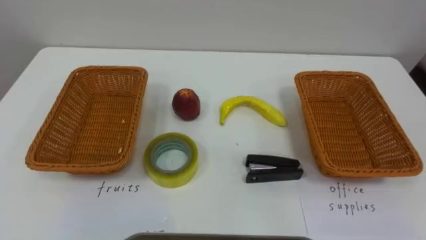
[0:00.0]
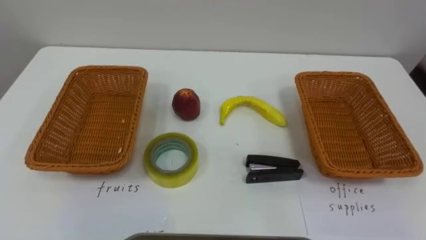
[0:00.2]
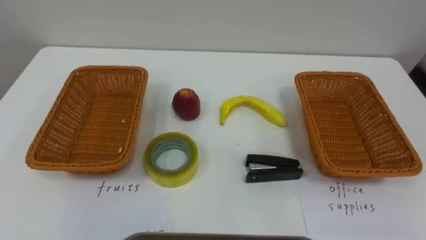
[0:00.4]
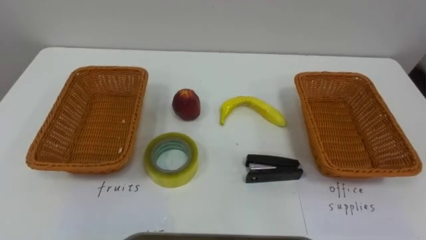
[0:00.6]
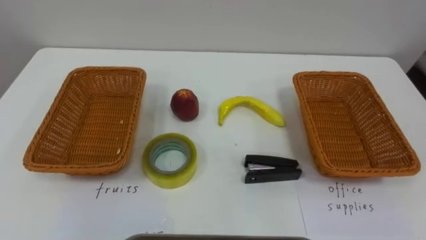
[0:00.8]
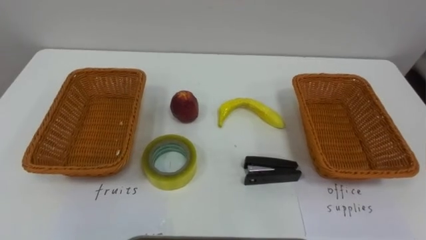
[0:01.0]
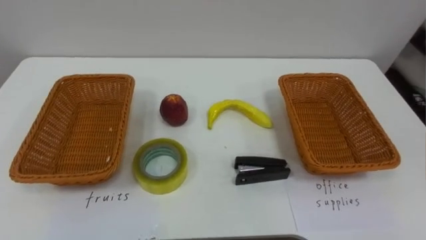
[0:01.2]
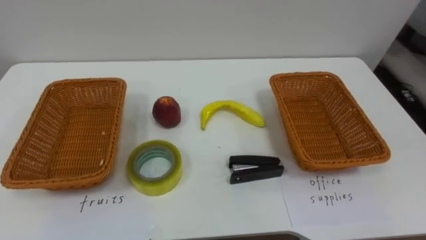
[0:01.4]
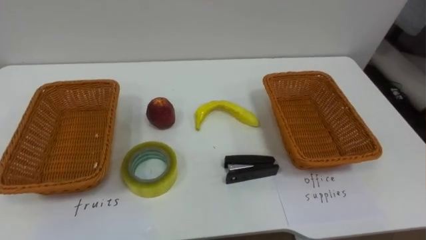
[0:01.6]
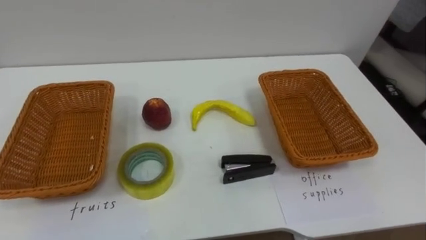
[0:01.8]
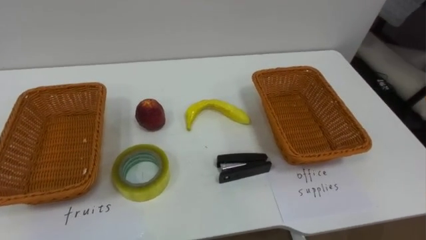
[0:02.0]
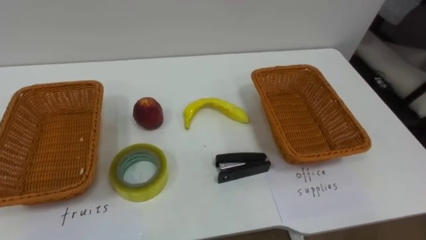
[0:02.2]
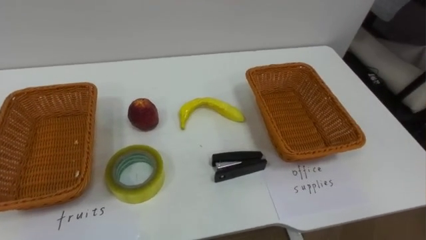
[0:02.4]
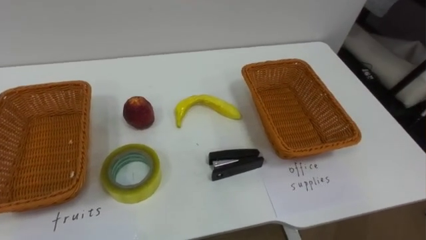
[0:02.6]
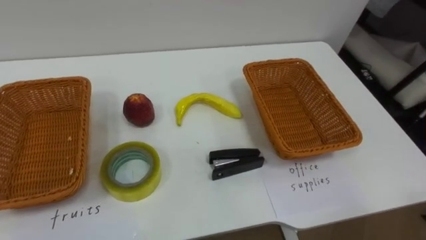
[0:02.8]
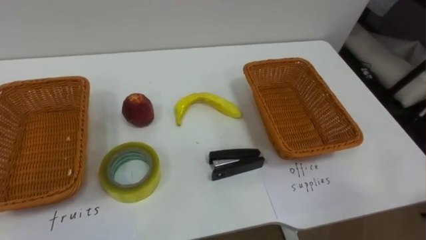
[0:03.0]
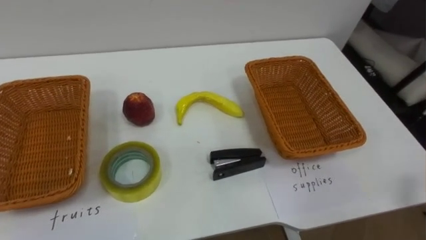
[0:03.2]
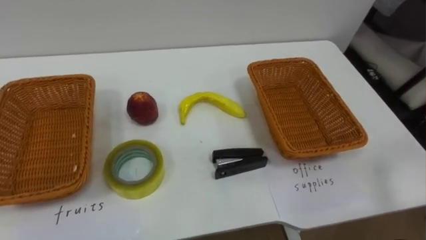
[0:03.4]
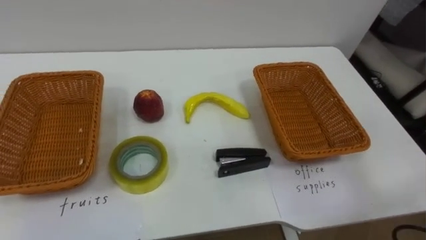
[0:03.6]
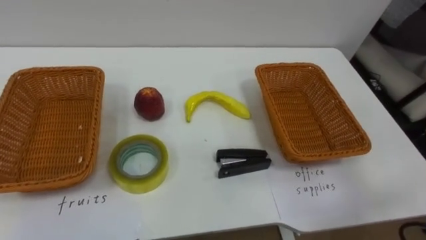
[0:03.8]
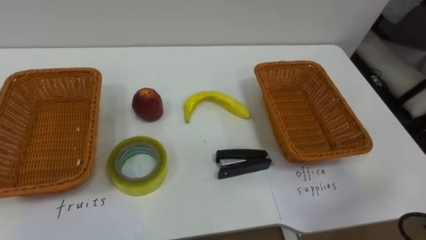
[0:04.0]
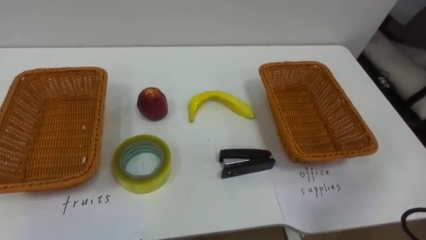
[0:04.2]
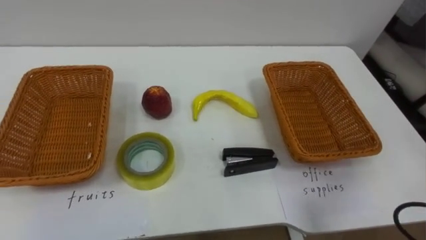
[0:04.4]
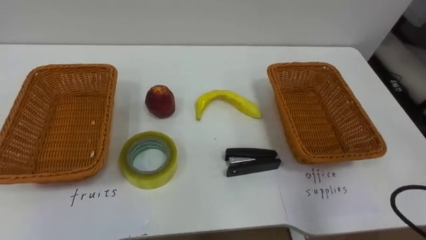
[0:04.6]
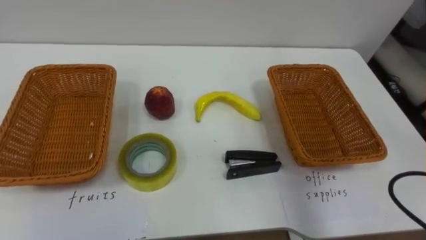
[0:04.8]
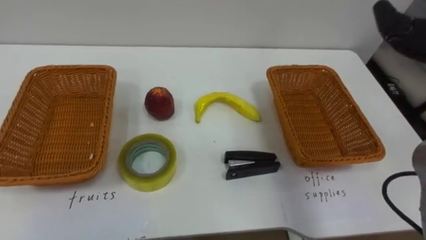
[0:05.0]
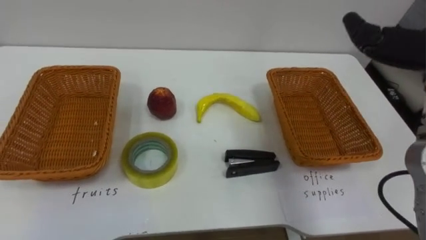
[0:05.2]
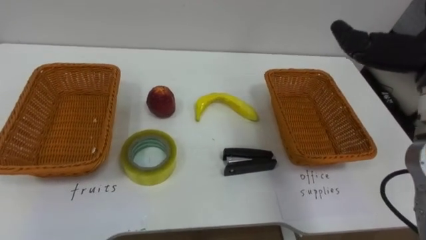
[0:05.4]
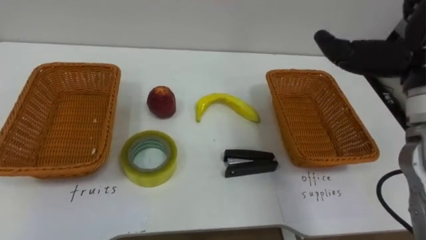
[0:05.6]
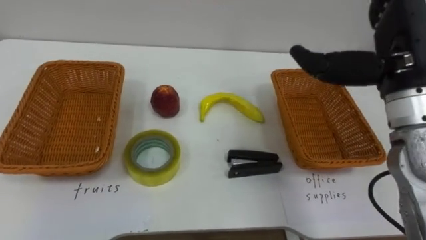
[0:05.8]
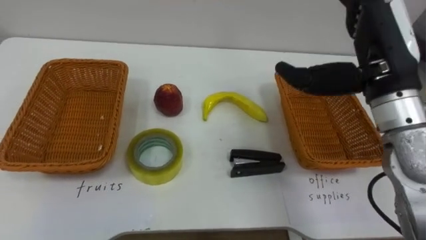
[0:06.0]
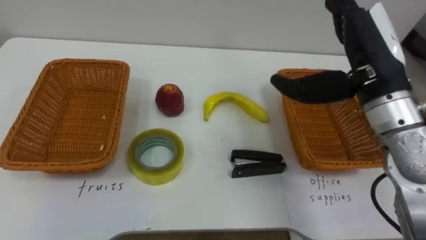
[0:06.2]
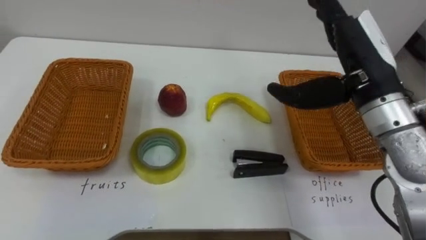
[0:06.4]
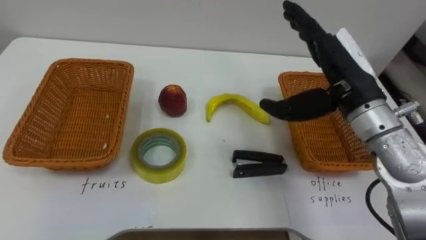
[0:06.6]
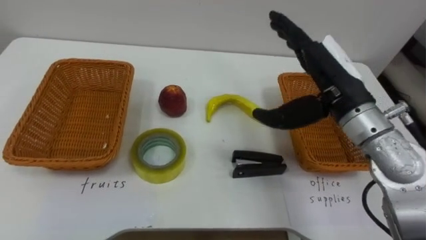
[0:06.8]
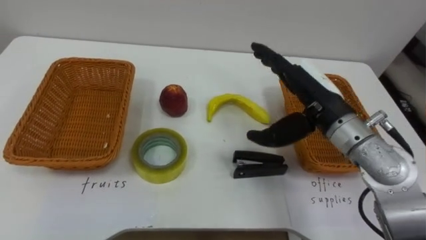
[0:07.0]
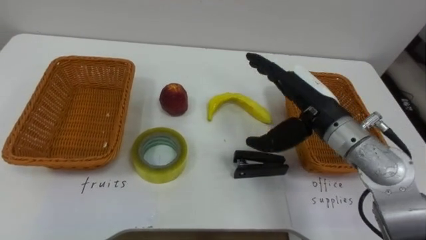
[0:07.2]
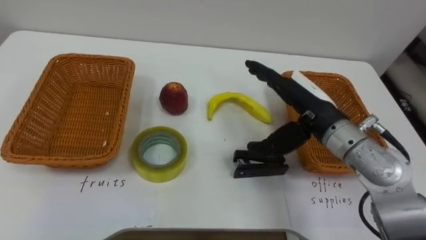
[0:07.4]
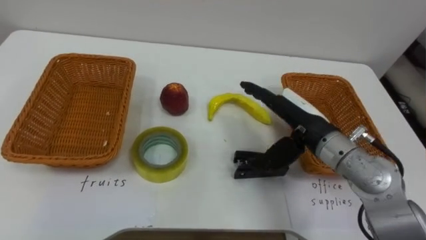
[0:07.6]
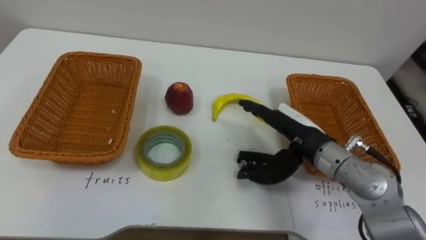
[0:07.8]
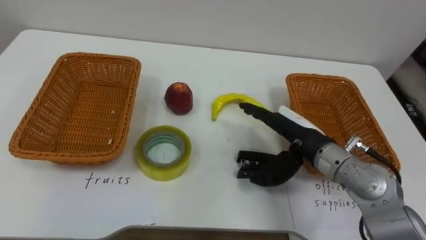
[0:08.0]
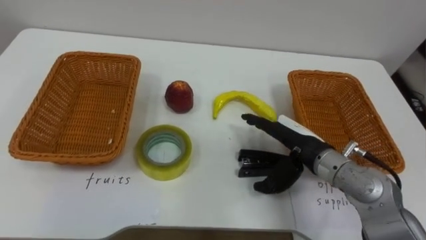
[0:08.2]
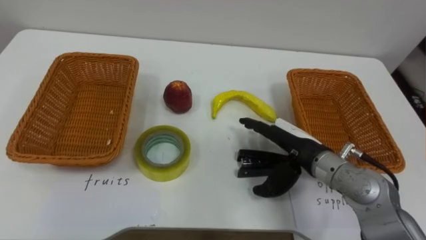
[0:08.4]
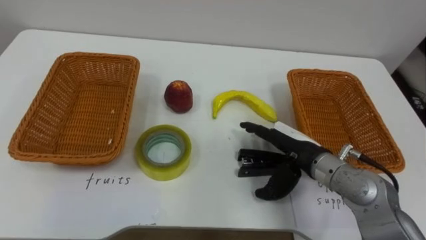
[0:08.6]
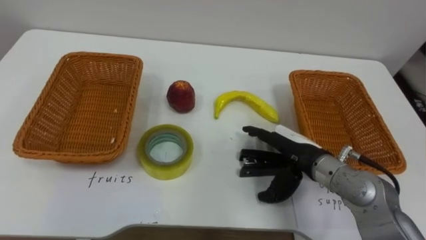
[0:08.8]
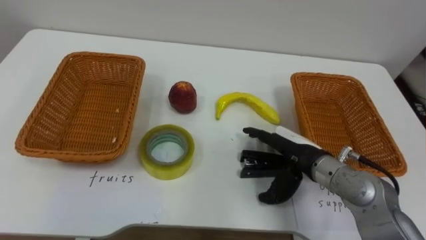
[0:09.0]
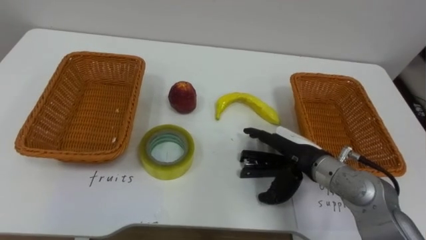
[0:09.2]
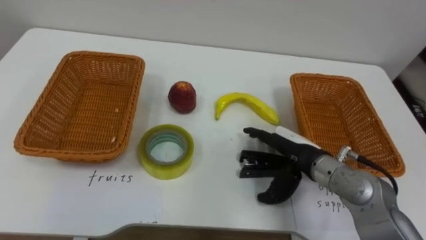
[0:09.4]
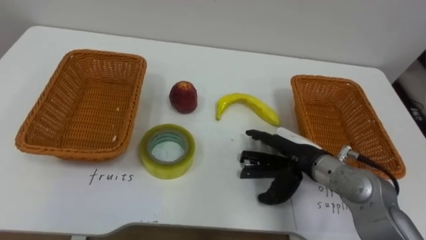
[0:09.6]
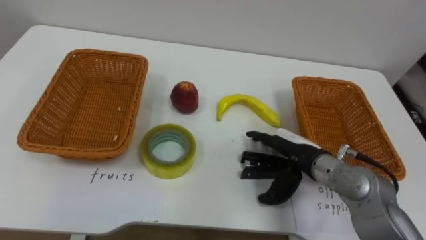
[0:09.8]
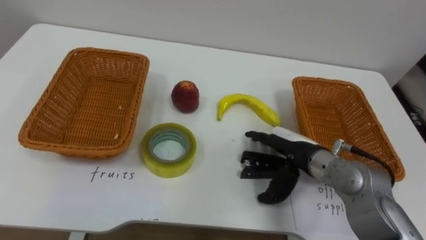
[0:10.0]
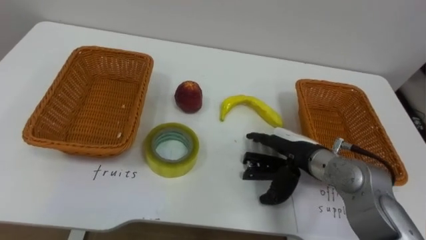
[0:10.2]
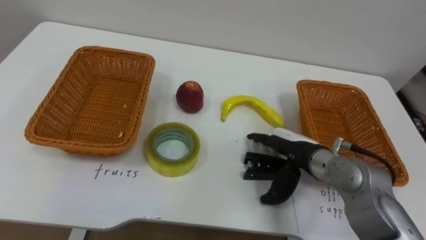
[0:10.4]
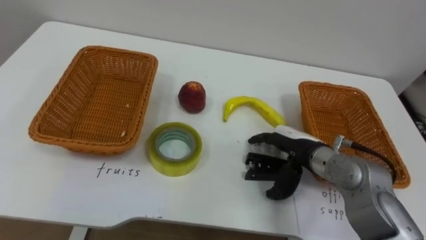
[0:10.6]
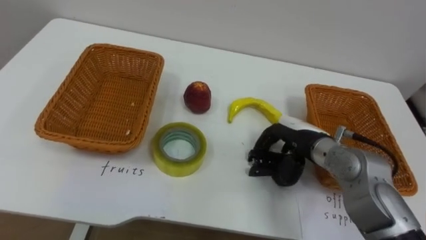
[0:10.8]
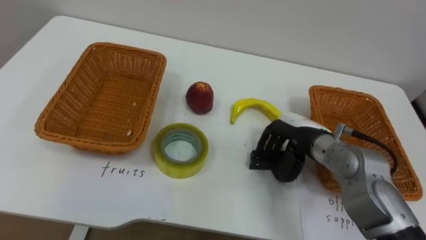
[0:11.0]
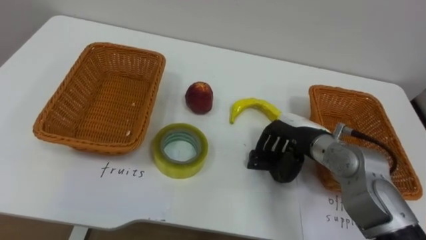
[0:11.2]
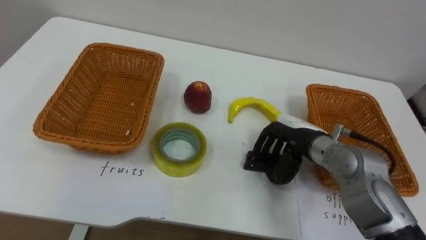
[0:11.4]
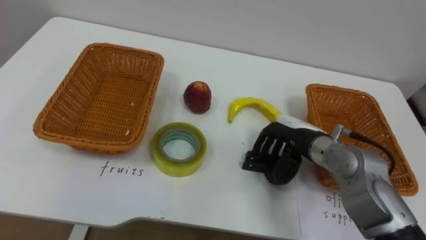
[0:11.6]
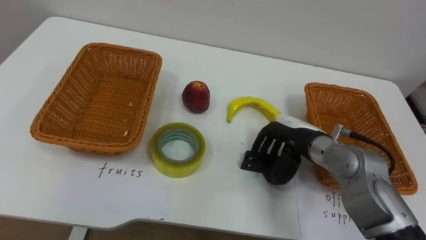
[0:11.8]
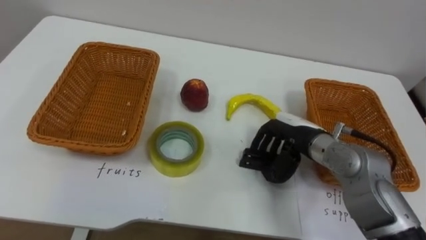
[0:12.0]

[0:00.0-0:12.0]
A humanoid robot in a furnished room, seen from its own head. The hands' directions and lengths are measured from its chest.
Task of the whole recording: Separate the items on the table and place them into the two baskets.
0:06.0 to 0:07.6: The right hand goes about 15 cm downward and to the left.
0:07.6 to 0:09.0: The right hand moves downward, roughly 5 cm.
0:10.4 to 0:12.0: The right hand closes up.

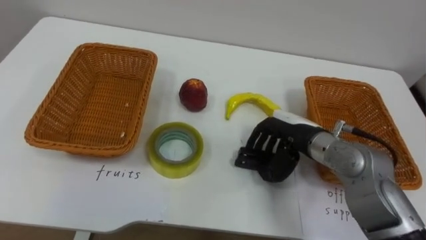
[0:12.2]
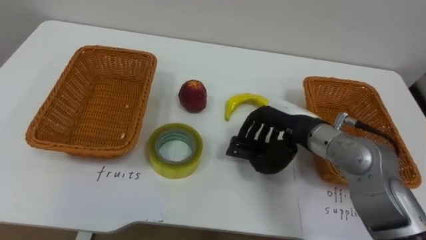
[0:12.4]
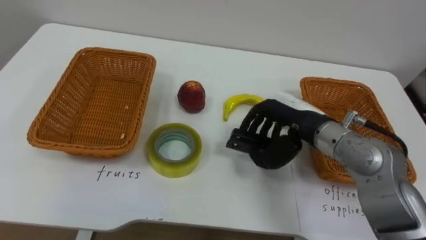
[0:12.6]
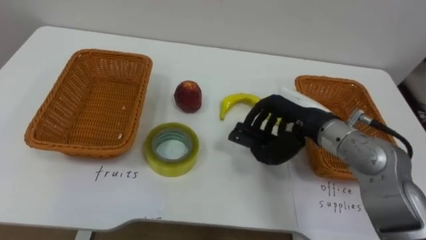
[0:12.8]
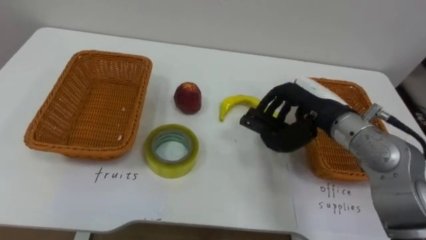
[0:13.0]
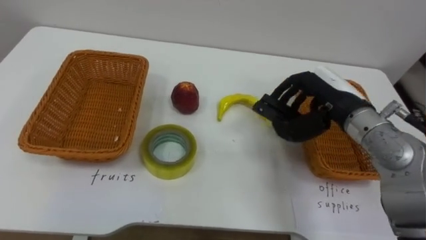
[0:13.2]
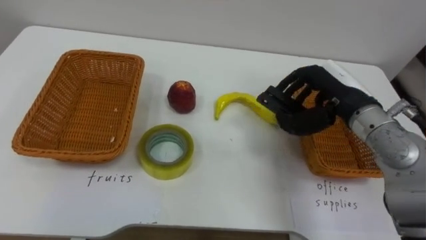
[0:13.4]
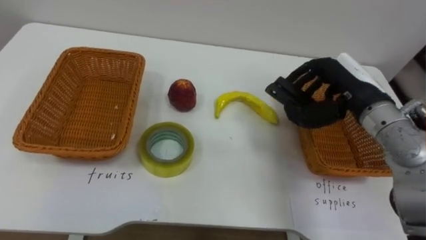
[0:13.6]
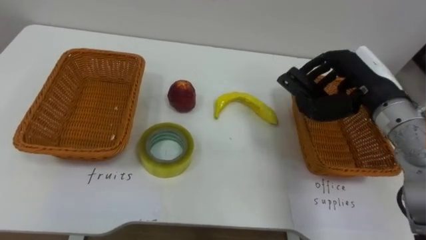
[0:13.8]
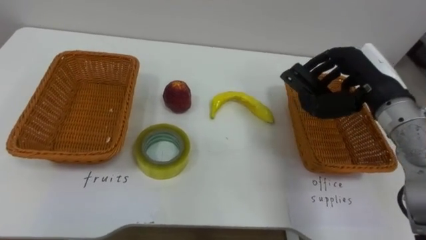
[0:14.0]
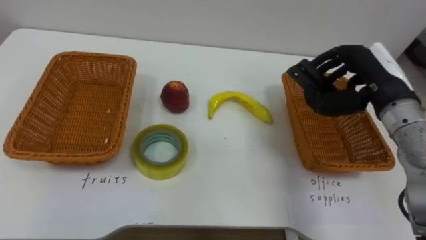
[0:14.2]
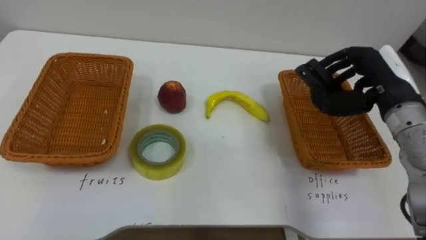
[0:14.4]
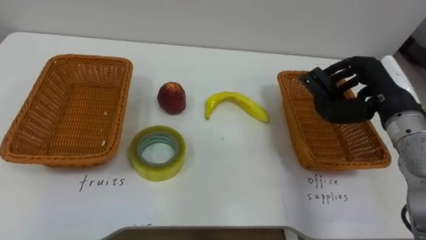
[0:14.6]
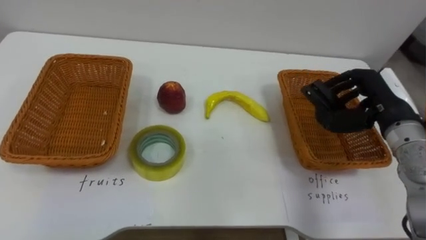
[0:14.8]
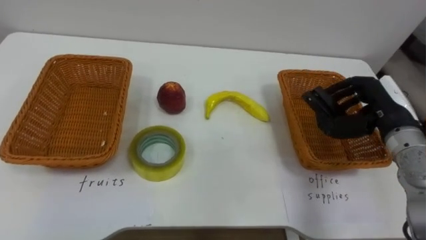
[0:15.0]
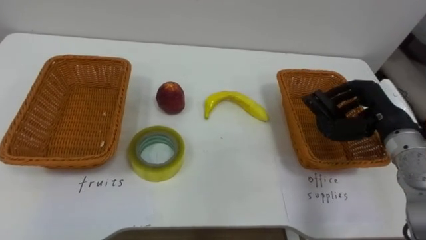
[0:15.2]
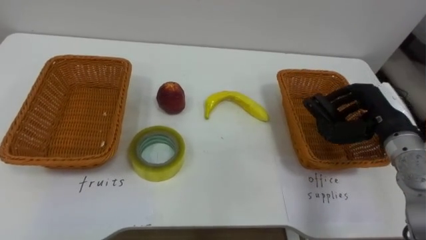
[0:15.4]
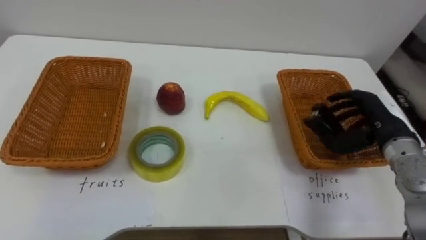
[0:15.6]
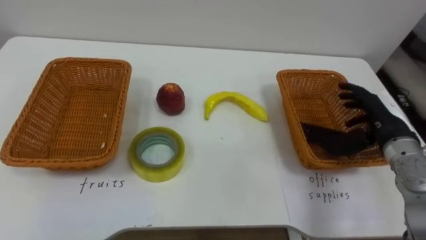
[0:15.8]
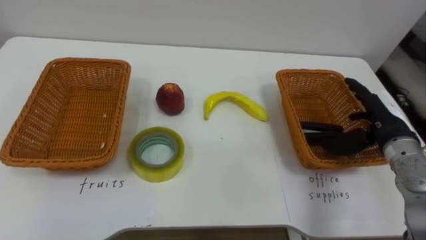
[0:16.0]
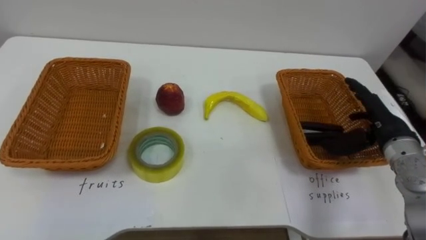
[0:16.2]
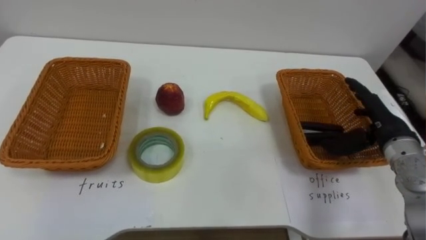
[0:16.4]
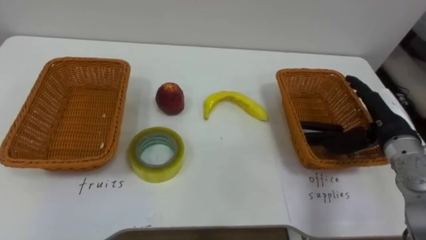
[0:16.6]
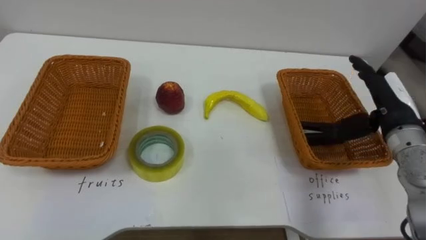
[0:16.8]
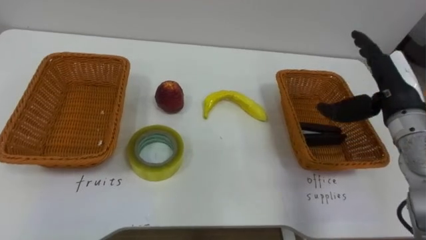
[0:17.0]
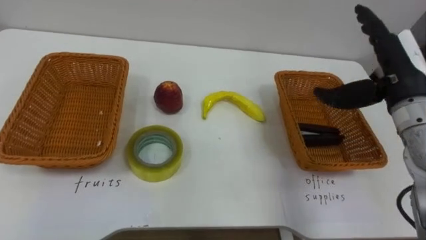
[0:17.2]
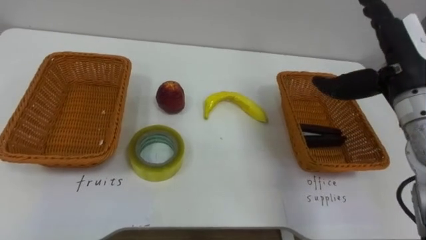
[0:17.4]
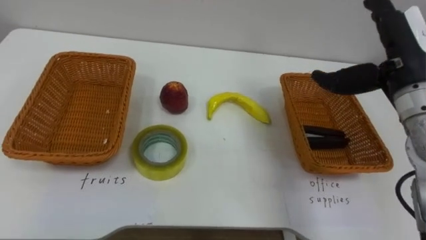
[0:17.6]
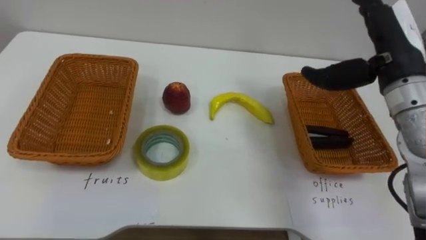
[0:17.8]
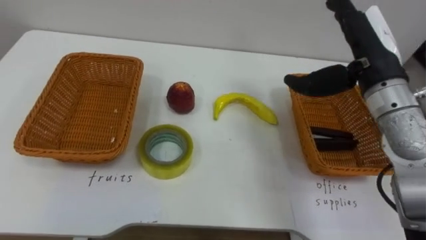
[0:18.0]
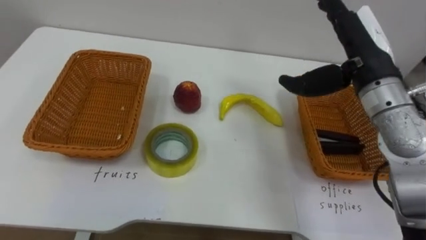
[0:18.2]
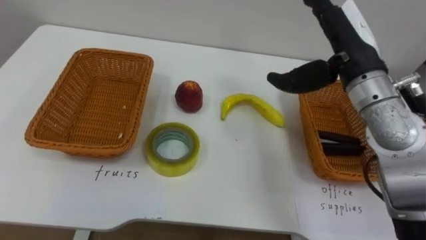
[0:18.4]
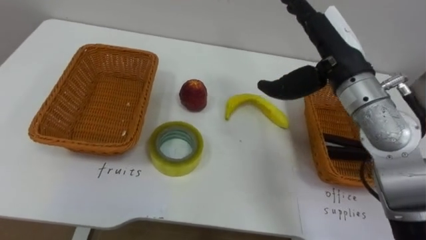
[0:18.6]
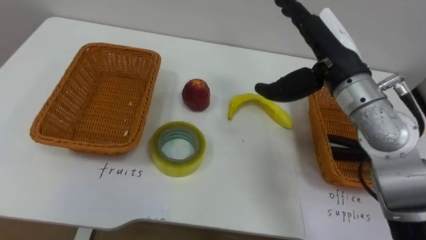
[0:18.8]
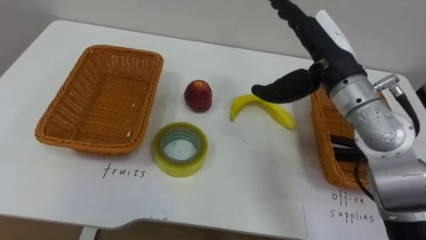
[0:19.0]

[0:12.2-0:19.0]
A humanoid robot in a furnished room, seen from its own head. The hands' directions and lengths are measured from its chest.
Task of the whole recording: Separate the items on the table and place them into the two baskets.
0:12.2 to 0:13.6: The right hand goes some 10 cm upward and to the right.
0:13.6 to 0:15.0: The right hand is displaced to the right by some 5 cm.
0:15.0 to 0:16.2: The right hand opens its fingers.
0:16.2 to 0:17.6: The right hand is displaced upward by about 15 cm.
0:17.6 to 0:19.0: The right hand goes some 10 cm to the left.
